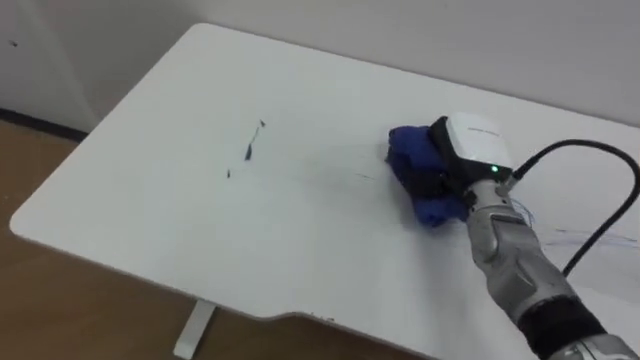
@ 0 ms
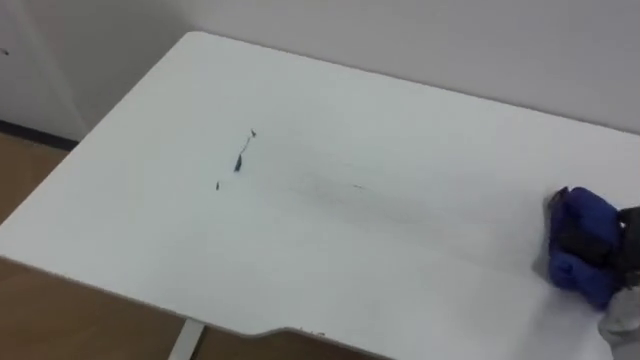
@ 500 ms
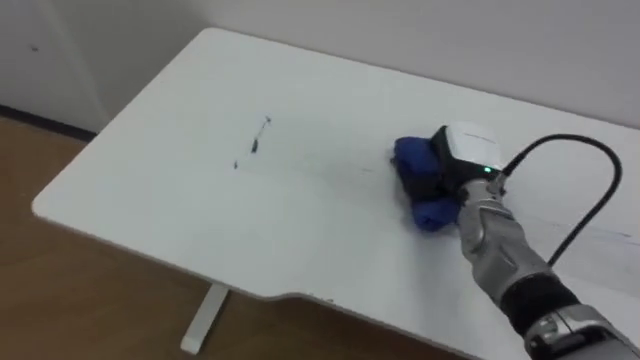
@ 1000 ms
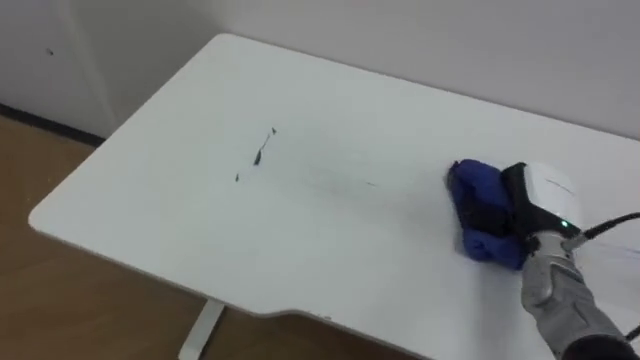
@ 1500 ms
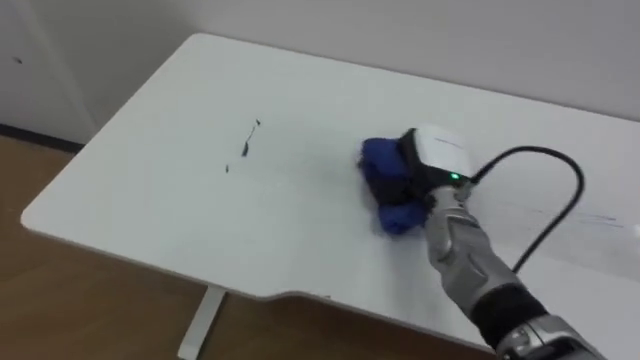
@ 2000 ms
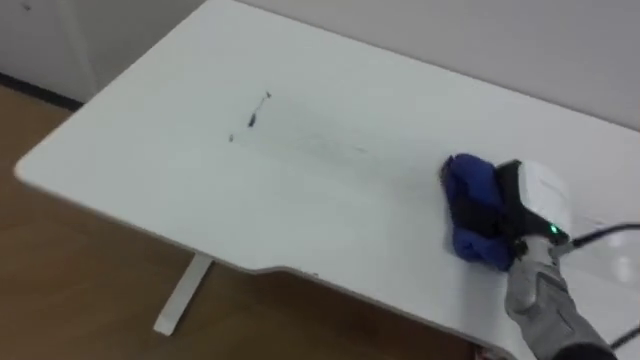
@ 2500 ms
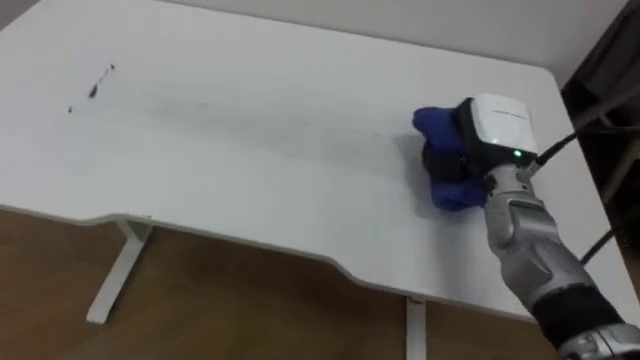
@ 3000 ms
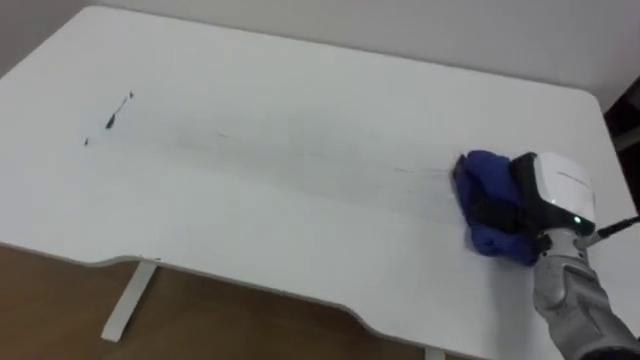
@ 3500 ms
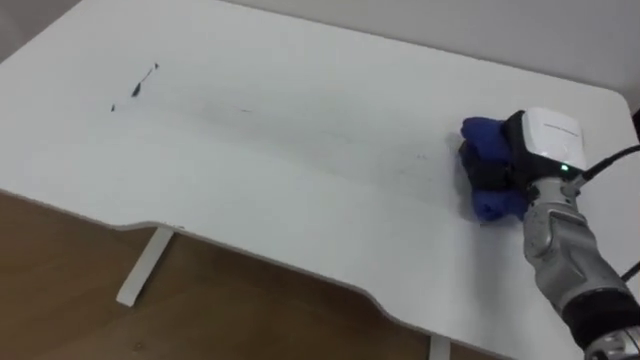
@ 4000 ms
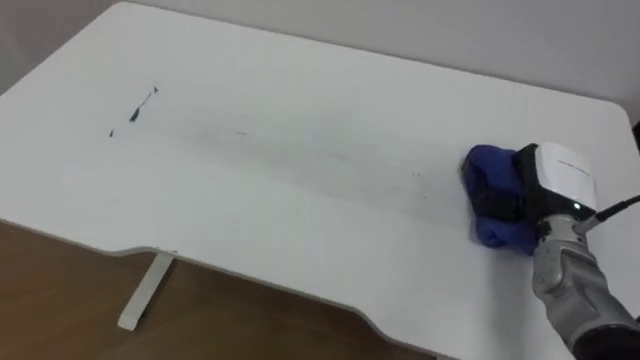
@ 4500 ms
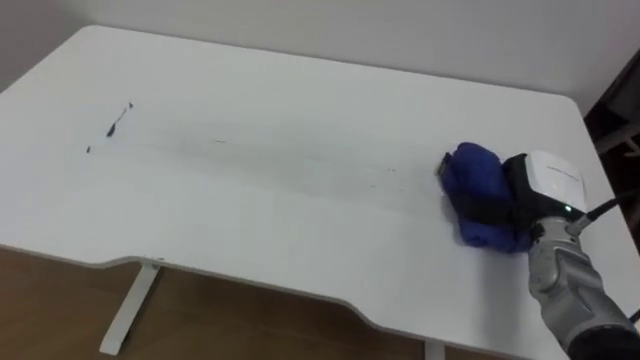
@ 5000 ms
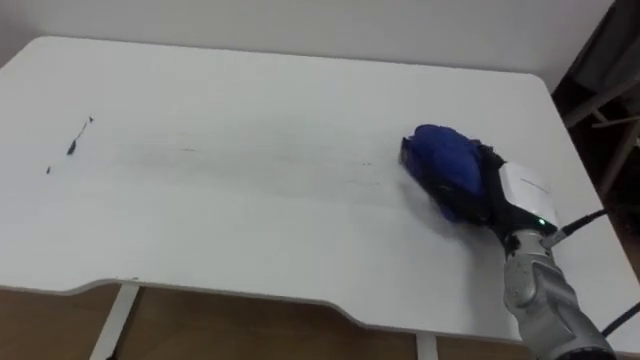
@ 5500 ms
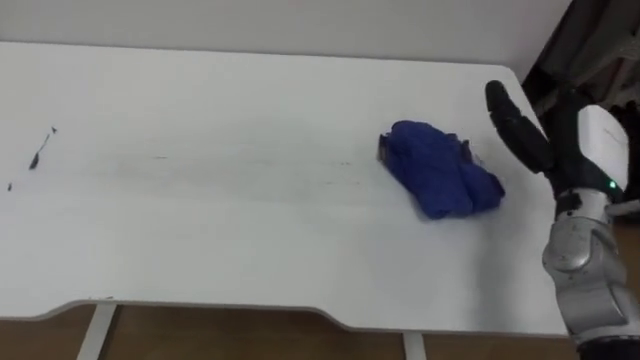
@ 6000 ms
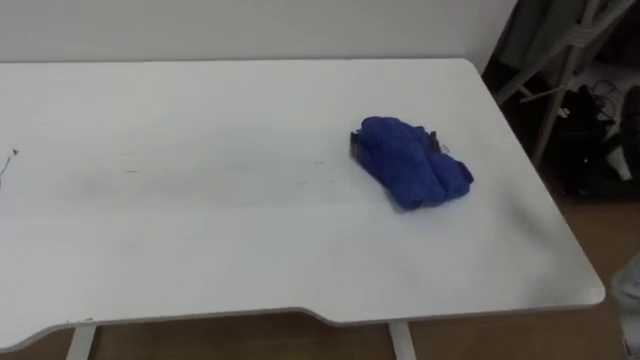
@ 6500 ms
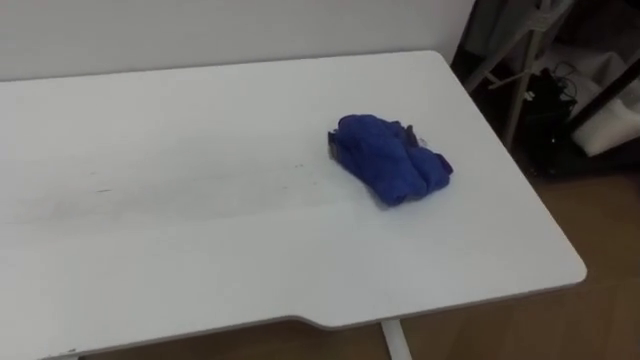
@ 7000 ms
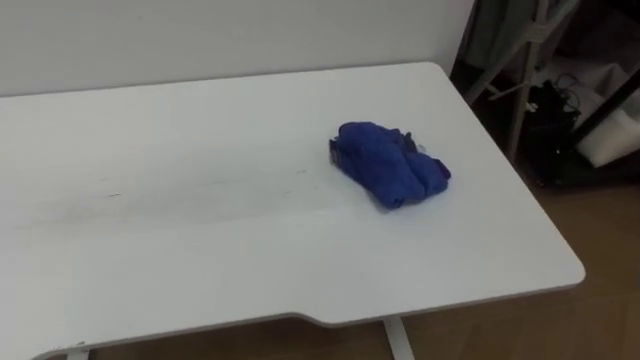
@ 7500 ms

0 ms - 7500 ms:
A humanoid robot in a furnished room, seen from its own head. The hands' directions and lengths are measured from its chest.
Task of the whole recording: Wipe the blue pen marks off the table with the rag.
2000 ms - 4000 ms: The right hand goes left and right, some 15 cm each way, reversing 2 times.
4000 ms - 5500 ms: The right hand travels downward by approximately 5 cm, and opens its fingers.

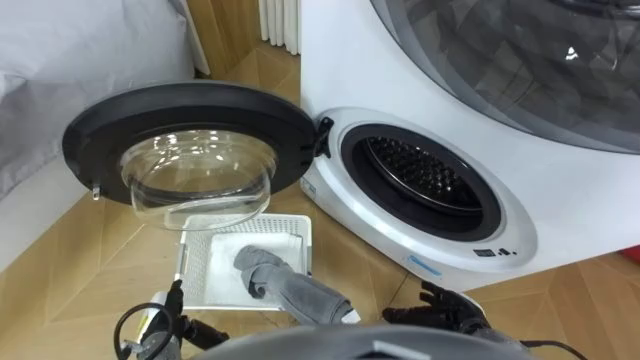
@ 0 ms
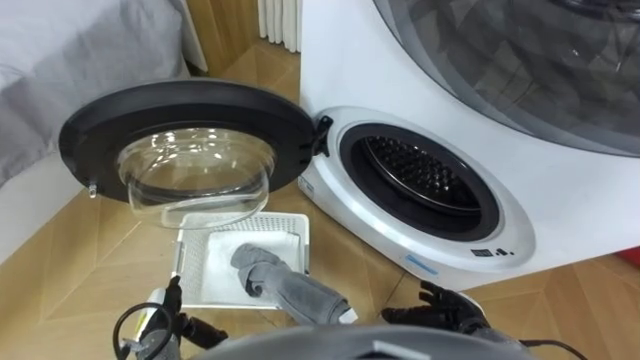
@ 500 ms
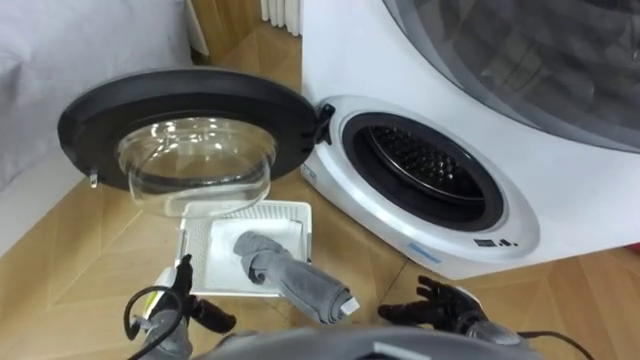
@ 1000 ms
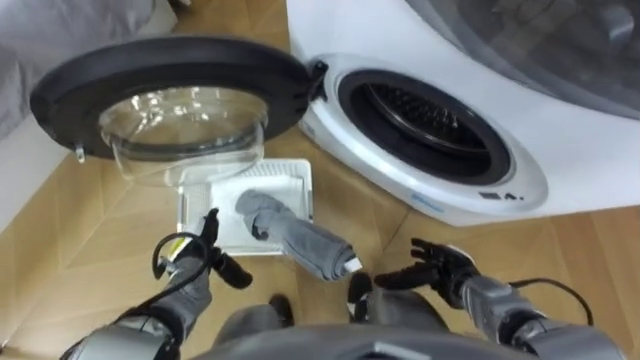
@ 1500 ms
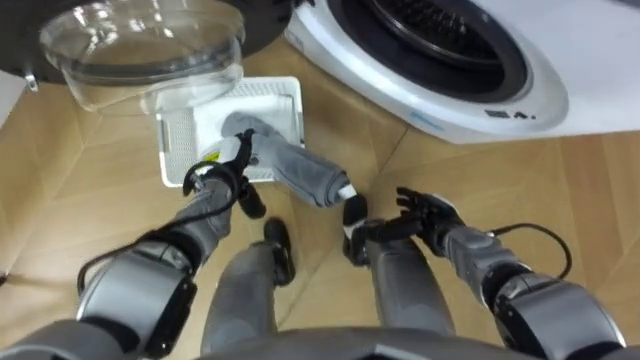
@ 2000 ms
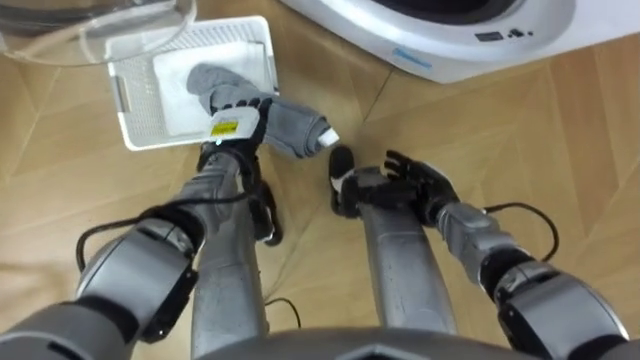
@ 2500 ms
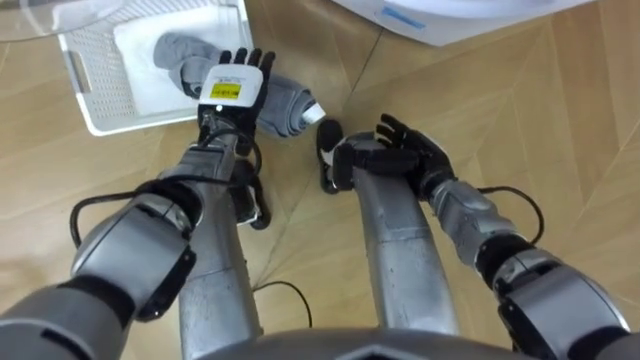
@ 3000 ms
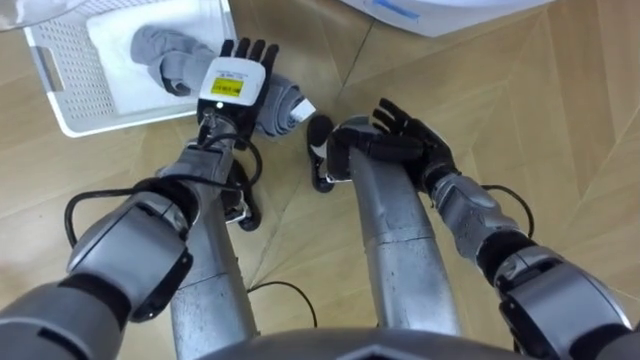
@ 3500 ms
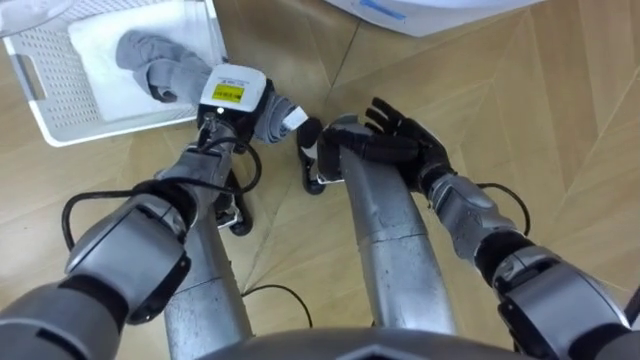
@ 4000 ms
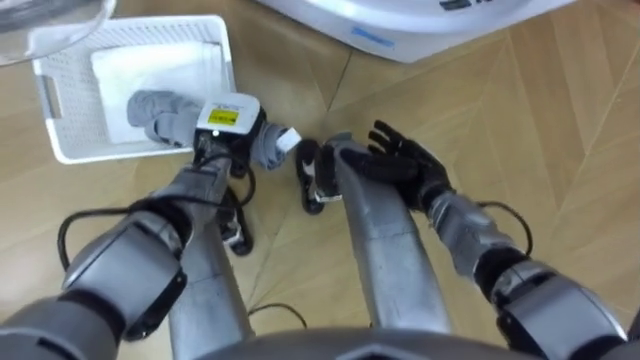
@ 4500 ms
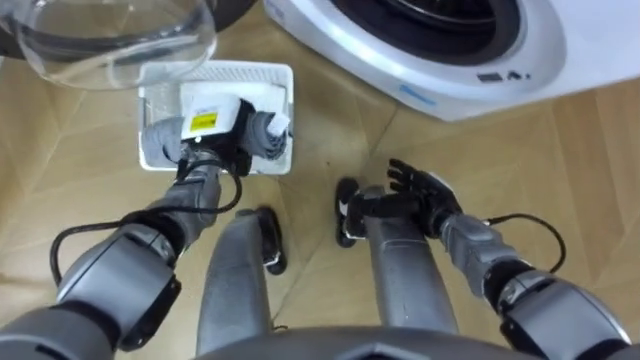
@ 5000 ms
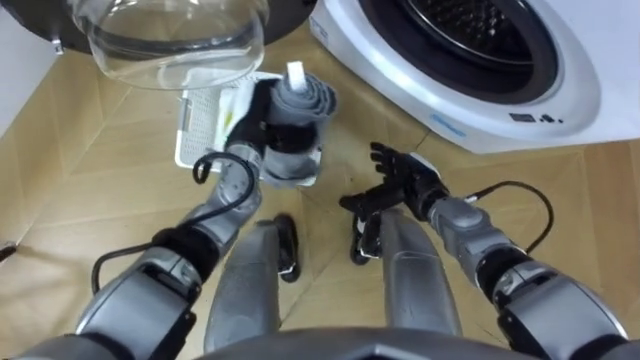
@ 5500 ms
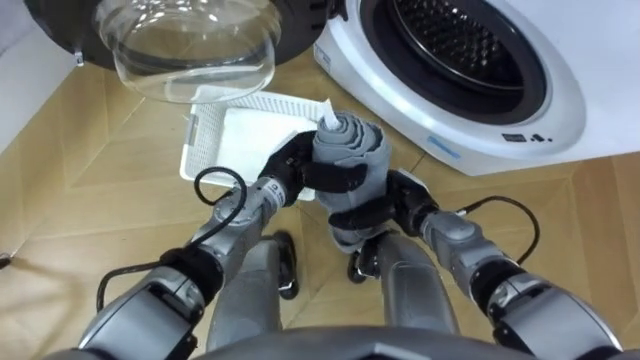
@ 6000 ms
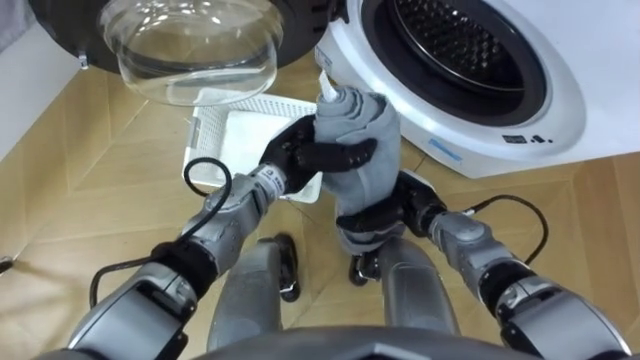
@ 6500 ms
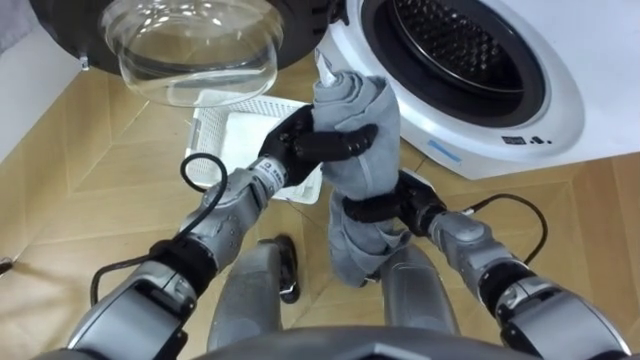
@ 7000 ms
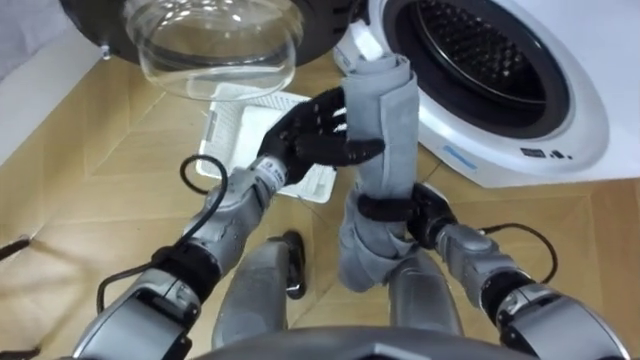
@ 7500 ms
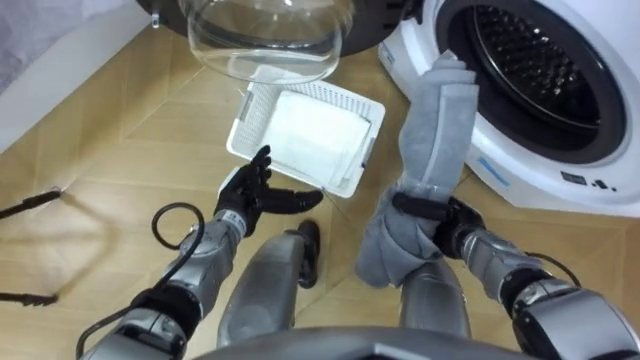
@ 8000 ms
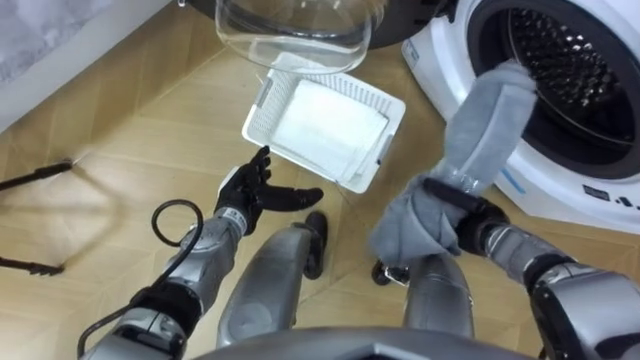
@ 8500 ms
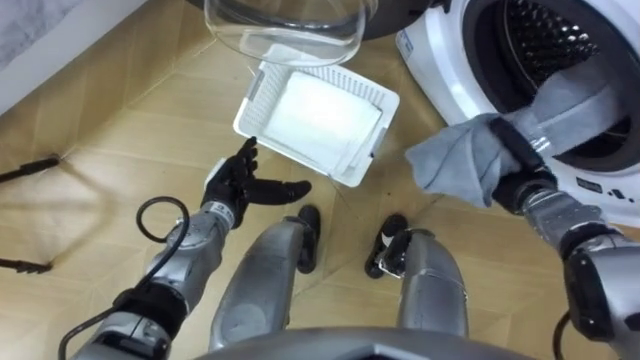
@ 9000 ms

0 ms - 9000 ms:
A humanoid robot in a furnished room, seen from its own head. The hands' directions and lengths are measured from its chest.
Task of the whole recording: Take the towel from the basket and put it into the washing machine.
2000 ms - 4500 ms: The right hand travels forward and upward by roughly 10 cm, while the left hand shifts about 5 cm upward, and closes up.
4500 ms - 7000 ms: The right hand closes up; the left hand goes about 10 cm to the right.
7000 ms - 9000 ms: The left hand goes some 15 cm to the left and downward, and opens up. Meanwhile the right hand moves to the right, about 15 cm.

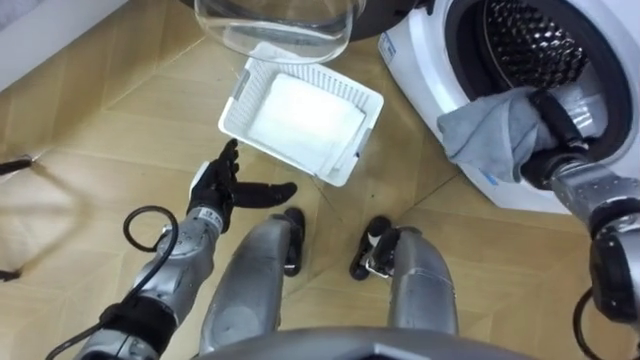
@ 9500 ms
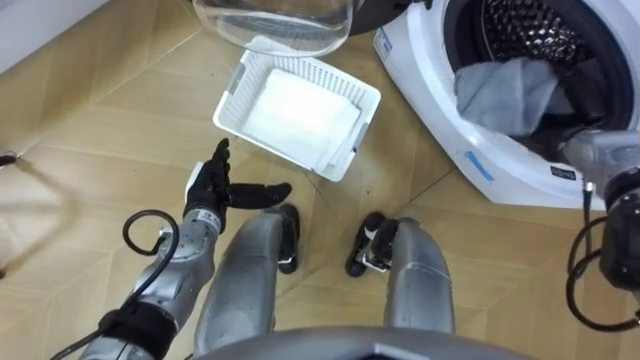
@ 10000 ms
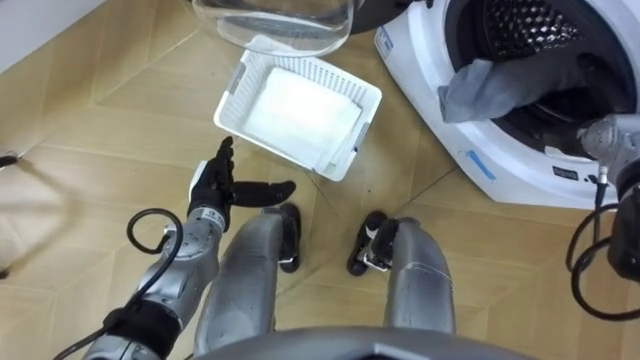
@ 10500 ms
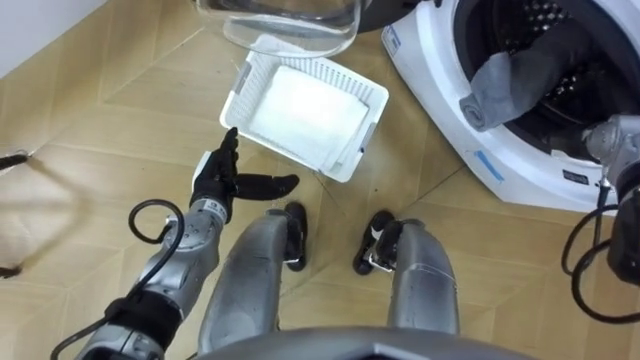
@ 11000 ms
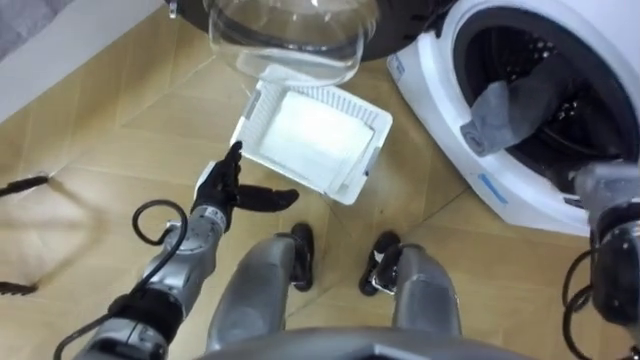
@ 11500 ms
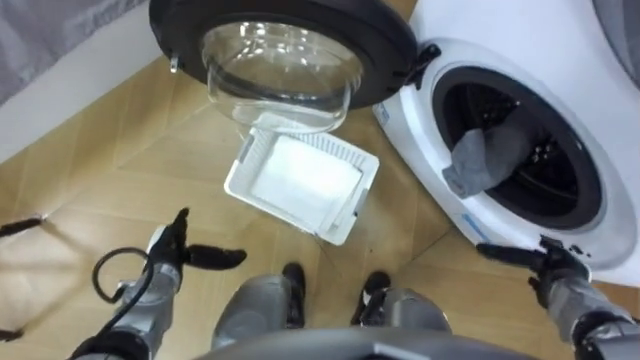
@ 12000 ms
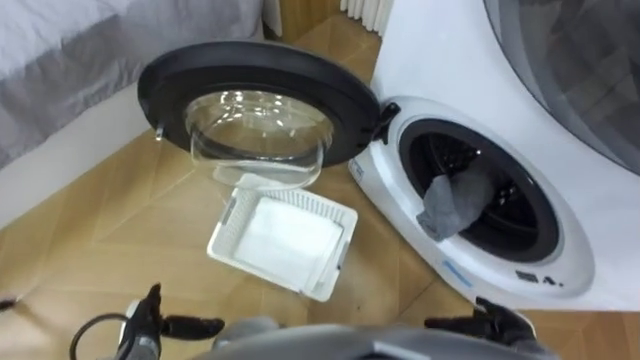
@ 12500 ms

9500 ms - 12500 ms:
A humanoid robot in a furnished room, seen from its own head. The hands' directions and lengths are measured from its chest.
Task of the whole recording: Take the towel from the basket and put it into the washing machine.
9500 ms - 11000 ms: The right hand moves approximately 5 cm, and opens its fingers.
11000 ms - 12500 ms: The left hand heads backward, to the left and downward, covering some 25 cm. Meanwhile the right hand shifts approximately 30 cm backward and downward.
